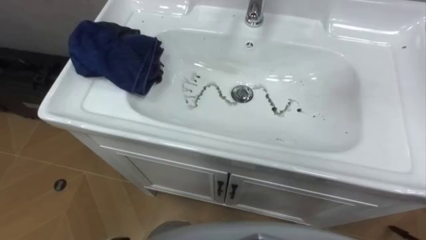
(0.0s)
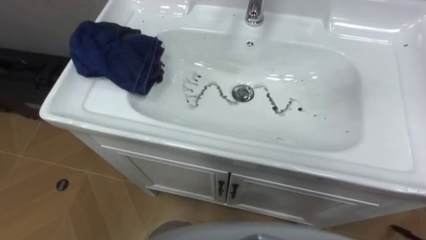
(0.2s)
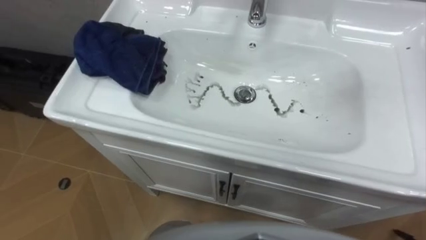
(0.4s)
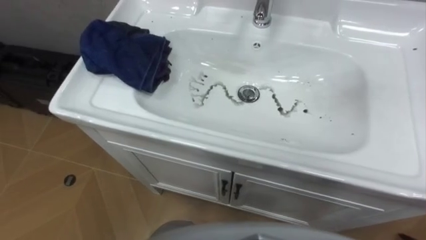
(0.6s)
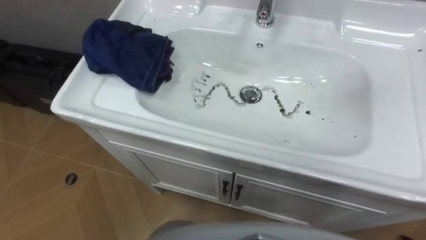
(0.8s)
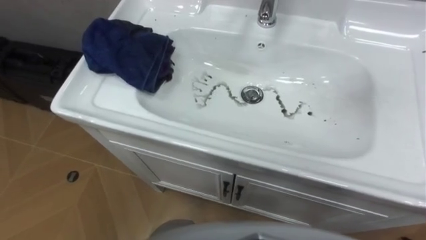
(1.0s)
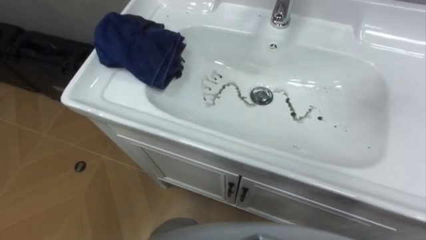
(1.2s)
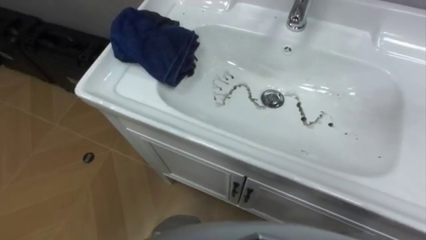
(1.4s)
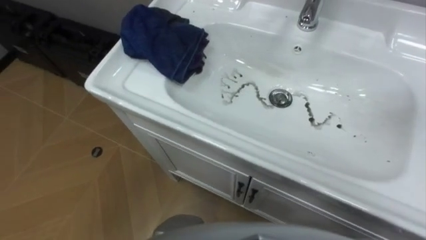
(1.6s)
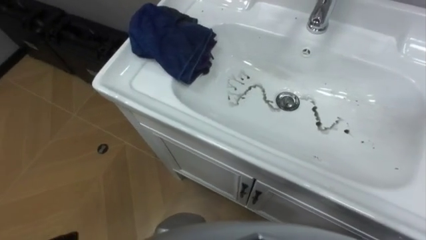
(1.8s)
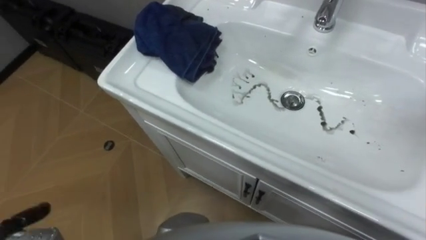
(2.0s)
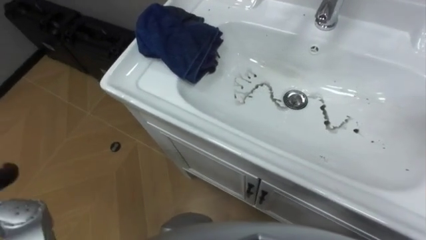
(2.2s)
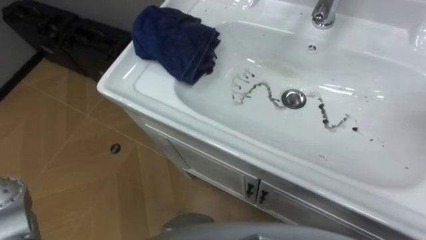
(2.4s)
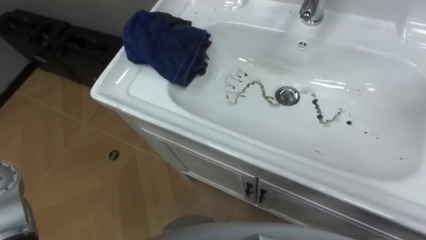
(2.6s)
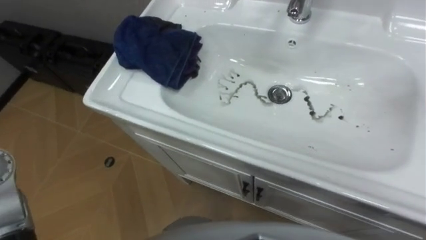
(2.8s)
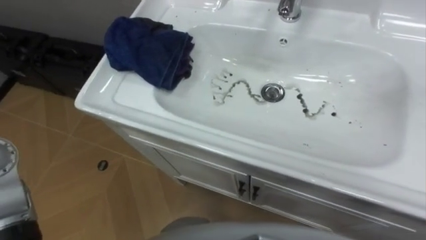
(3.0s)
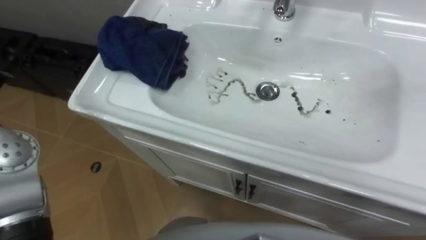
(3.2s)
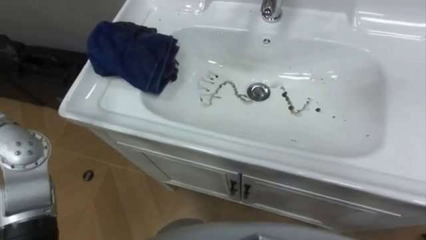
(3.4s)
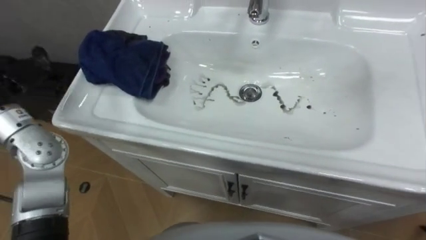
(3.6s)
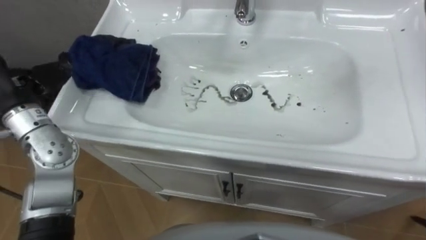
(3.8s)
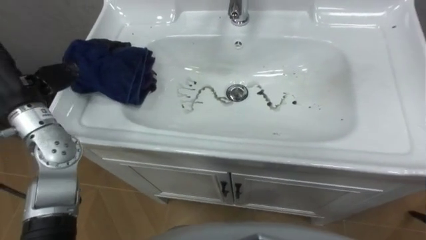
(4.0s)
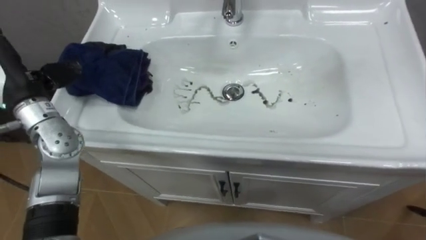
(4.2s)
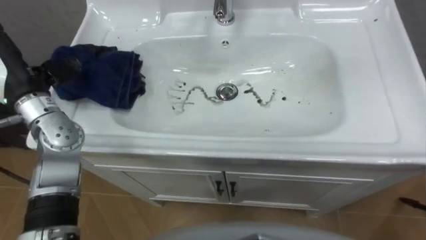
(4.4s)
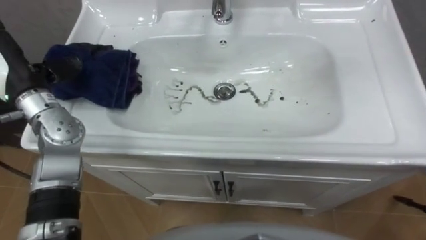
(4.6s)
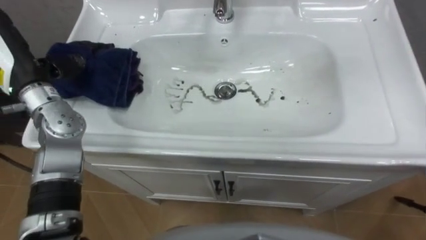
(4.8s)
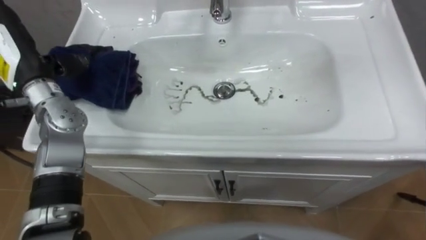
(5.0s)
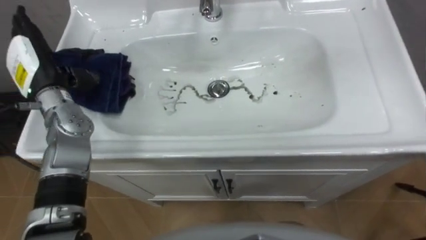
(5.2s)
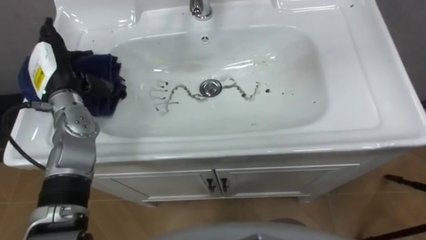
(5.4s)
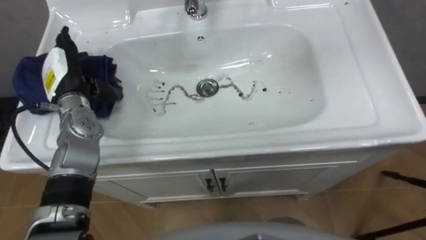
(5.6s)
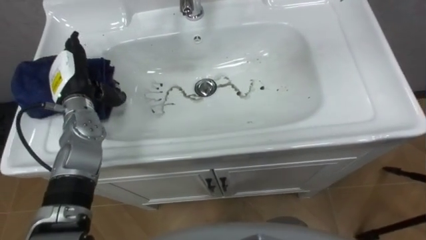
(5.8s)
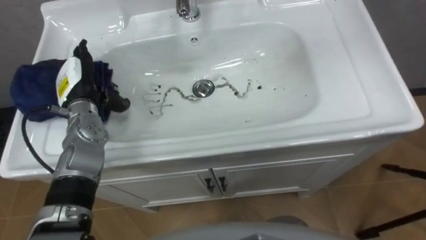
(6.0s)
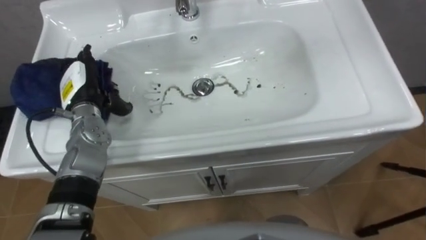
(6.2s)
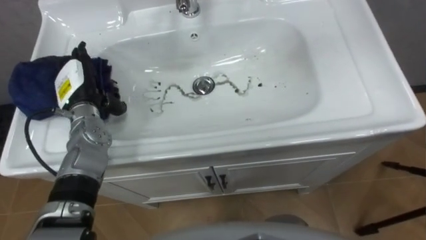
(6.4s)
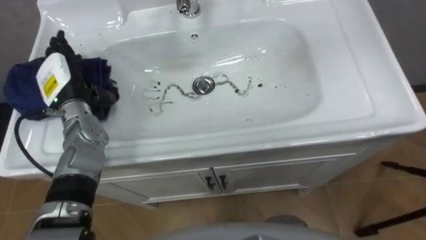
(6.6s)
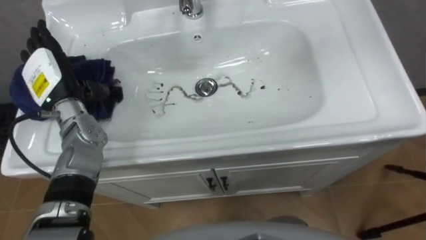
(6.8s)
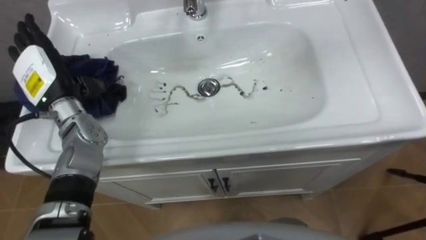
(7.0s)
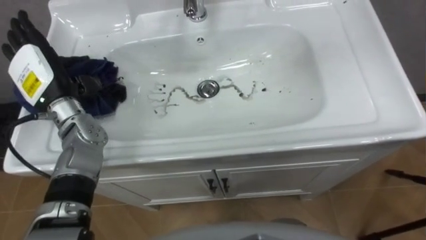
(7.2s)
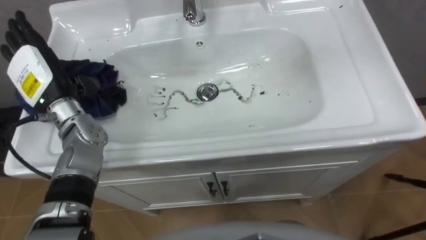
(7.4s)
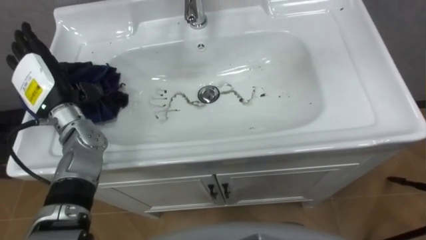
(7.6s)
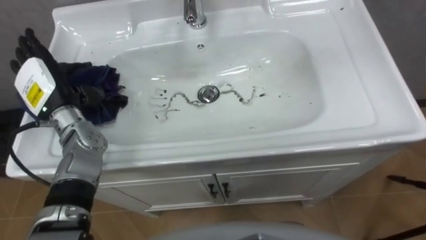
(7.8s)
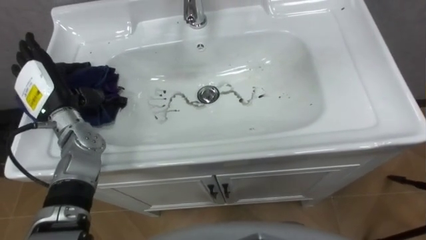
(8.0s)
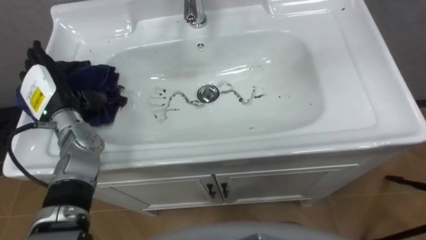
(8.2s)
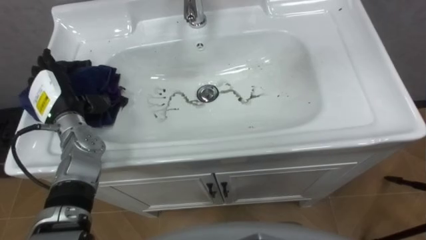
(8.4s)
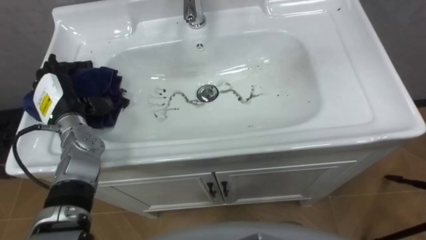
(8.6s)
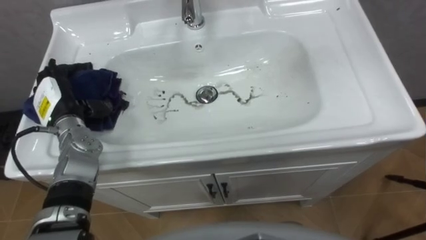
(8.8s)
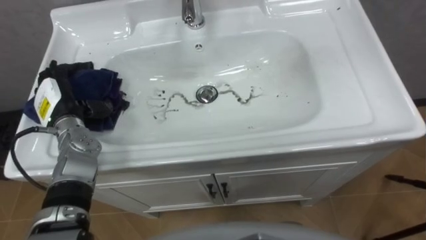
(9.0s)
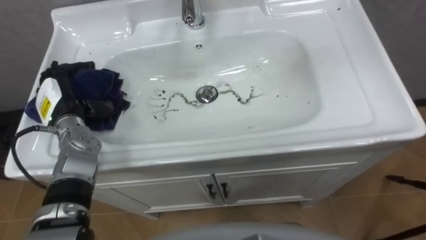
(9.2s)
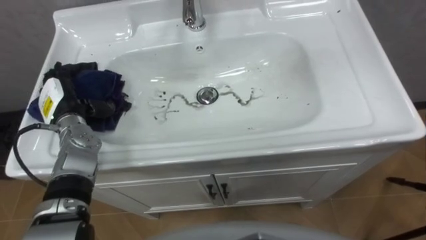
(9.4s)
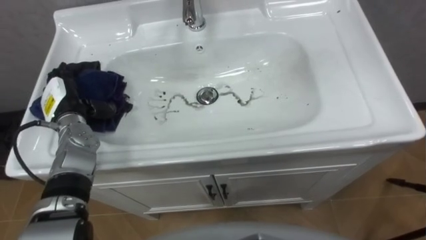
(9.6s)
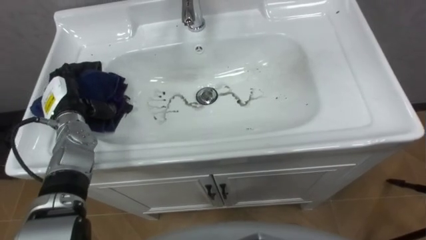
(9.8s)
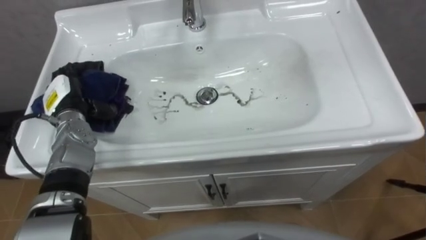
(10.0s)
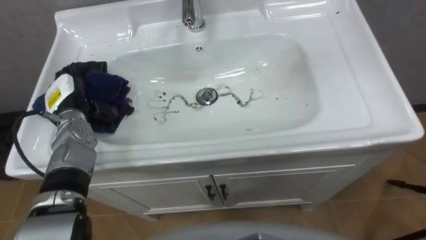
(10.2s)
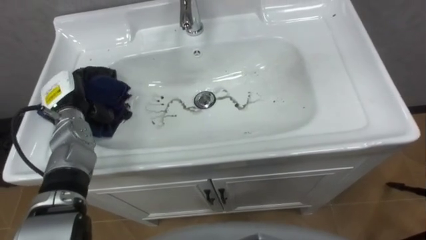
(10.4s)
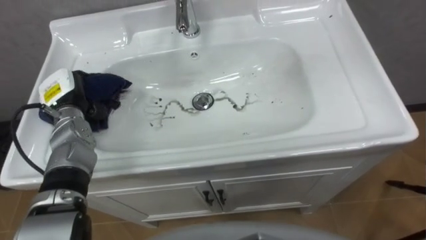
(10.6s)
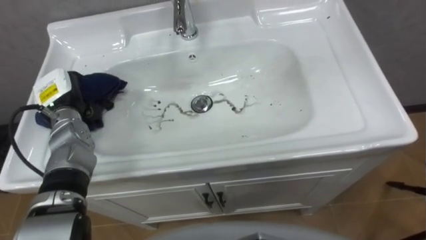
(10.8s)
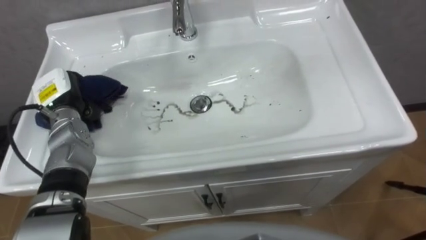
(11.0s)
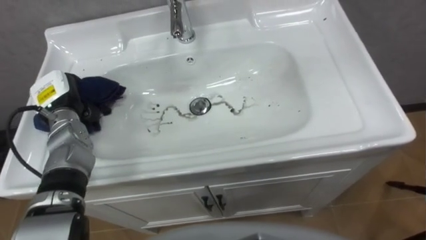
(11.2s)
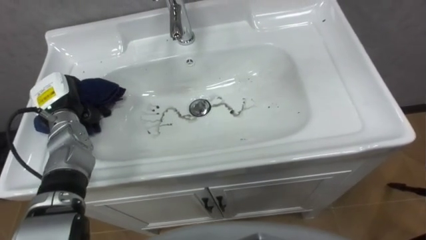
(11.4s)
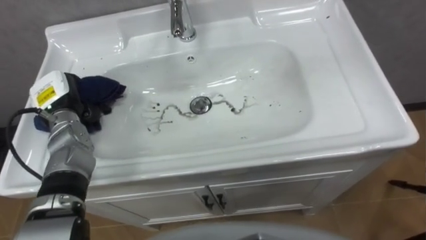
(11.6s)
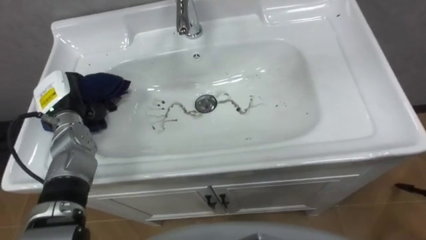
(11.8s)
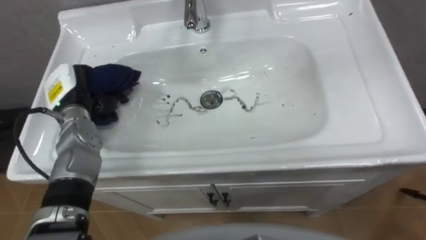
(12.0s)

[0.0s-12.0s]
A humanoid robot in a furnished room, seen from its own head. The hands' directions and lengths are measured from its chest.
Task of the whole recording: Use the cloth on the right to wipe away the black stain in the sink.
4.4s to 6.0s: The left hand is displaced downward and to the right by some 10 cm.
6.0s to 7.6s: The left hand changes place by about 5 cm.
7.6s to 9.0s: The left hand travels downward by roughly 5 cm.
10.4s to 12.0s: The left hand closes.

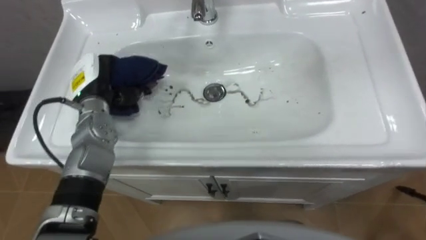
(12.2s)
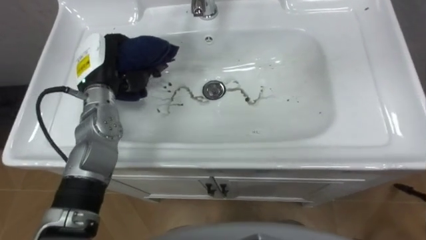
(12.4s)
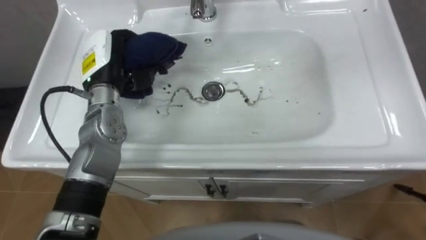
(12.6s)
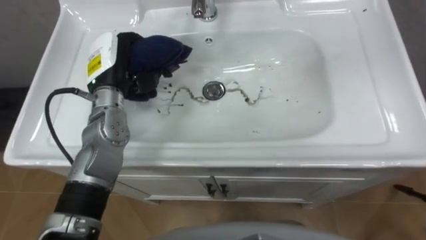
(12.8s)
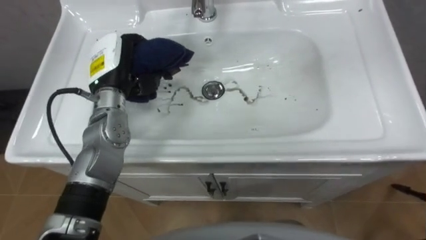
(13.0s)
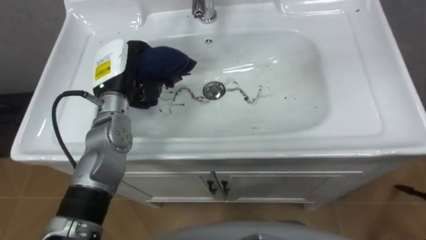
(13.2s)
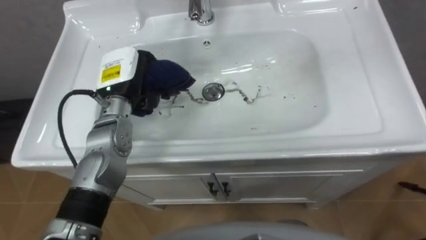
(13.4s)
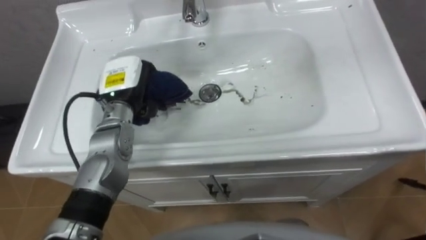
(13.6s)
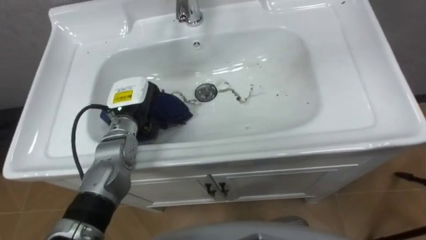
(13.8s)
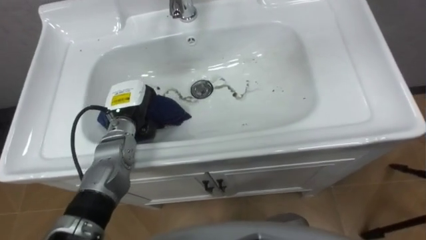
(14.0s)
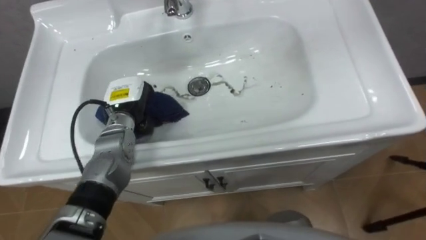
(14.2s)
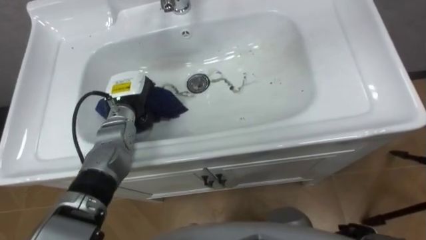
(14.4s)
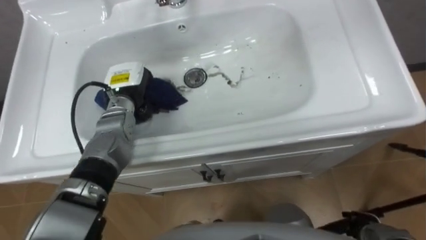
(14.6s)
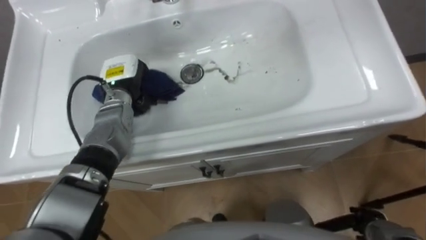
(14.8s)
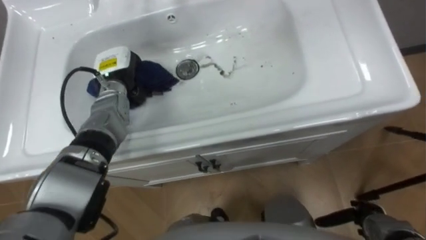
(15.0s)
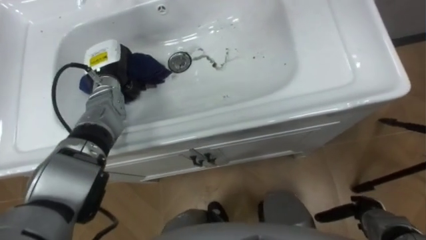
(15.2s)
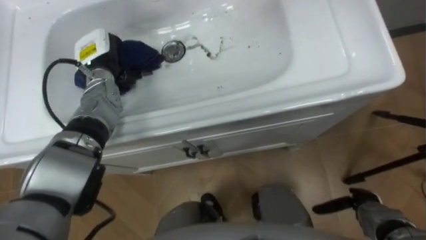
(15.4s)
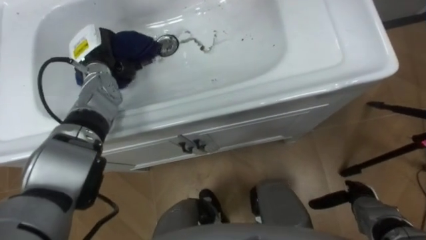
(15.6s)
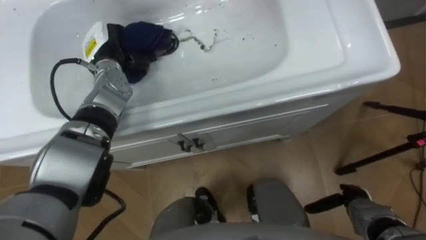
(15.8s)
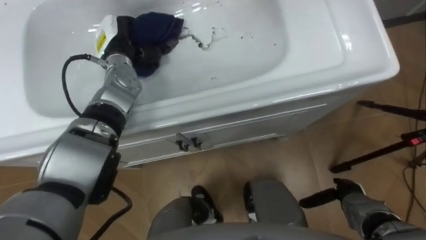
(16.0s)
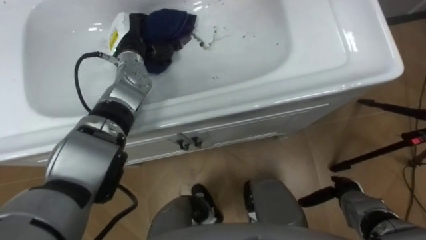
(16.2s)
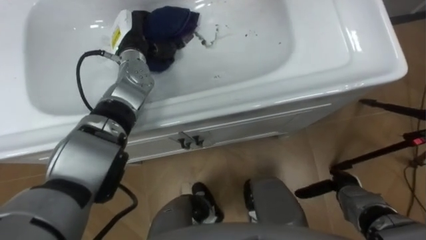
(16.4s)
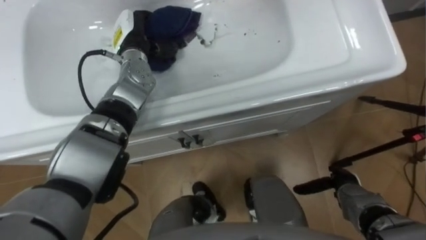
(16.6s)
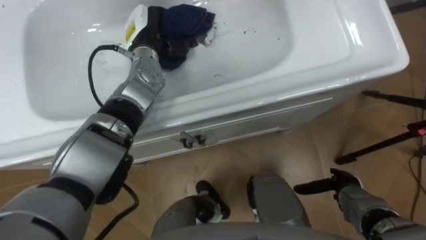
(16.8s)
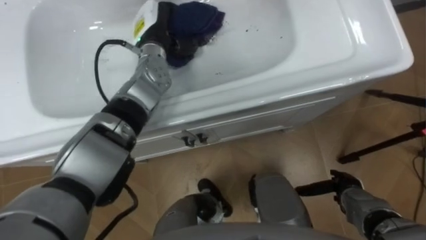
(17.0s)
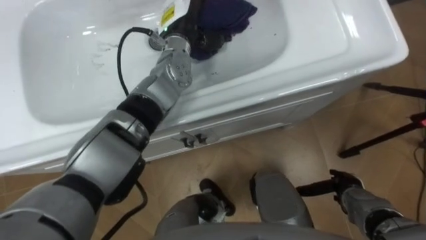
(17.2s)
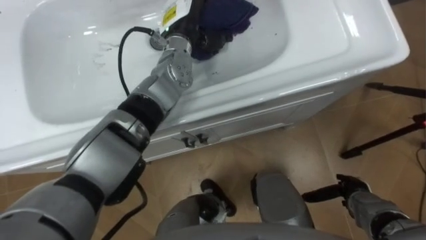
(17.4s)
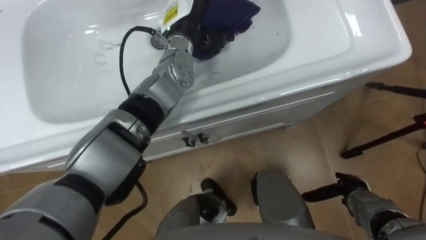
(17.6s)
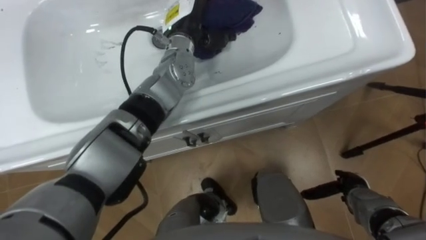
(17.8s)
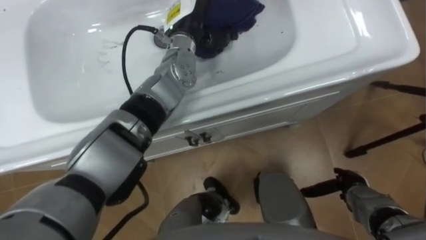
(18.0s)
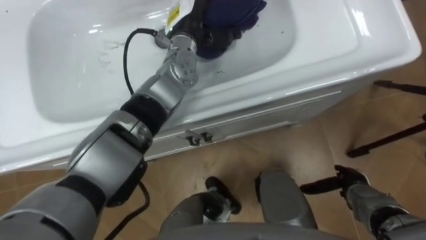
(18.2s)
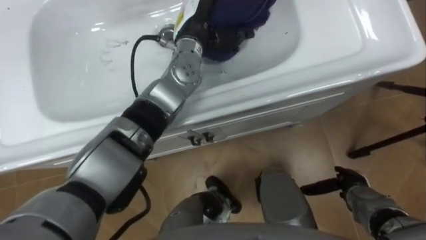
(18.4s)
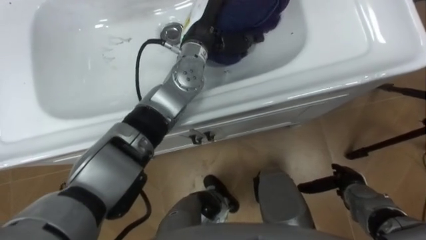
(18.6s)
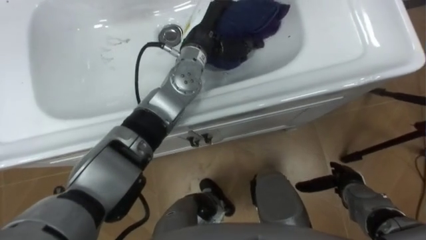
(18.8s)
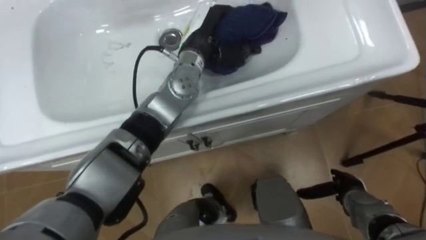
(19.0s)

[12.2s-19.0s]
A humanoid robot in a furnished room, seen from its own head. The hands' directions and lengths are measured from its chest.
Task of the whole recording: Use the cloth on the right to wipe away the black stain in the sink.
12.2s to 13.6s: The left hand heads to the right, covering approximately 5 cm.
13.6s to 15.0s: The left hand heads forward, covering roughly 5 cm.
15.0s to 16.2s: The left hand changes place by some 5 cm; the right hand goes some 5 cm forward.
16.2s to 17.6s: The left hand moves to the right and upward, about 15 cm.
